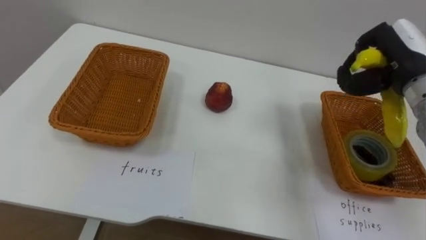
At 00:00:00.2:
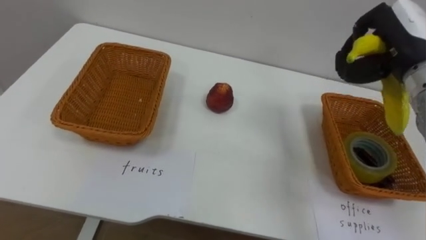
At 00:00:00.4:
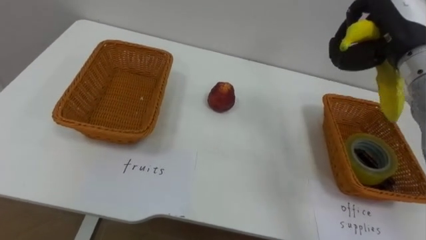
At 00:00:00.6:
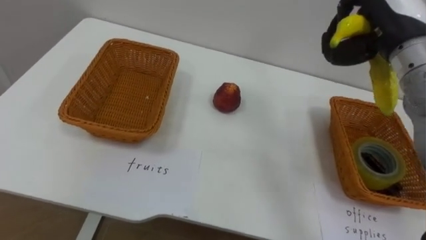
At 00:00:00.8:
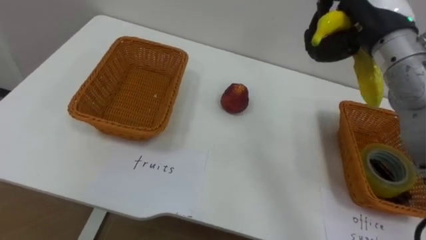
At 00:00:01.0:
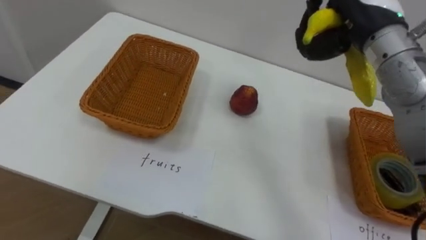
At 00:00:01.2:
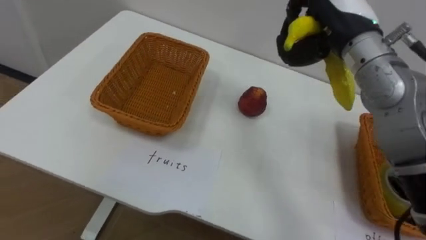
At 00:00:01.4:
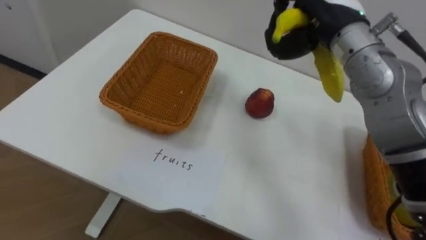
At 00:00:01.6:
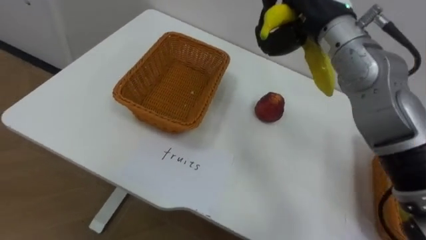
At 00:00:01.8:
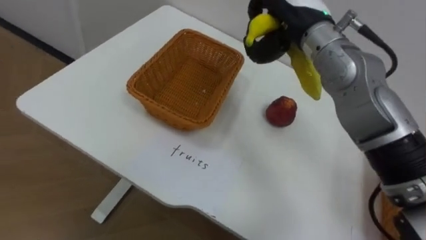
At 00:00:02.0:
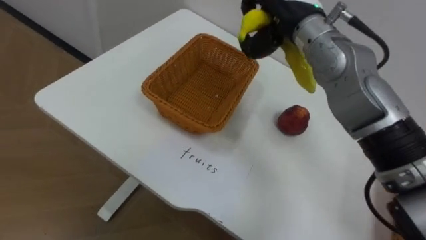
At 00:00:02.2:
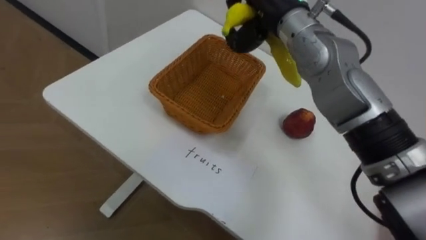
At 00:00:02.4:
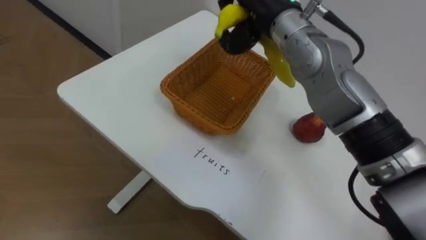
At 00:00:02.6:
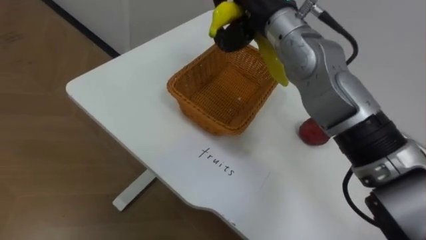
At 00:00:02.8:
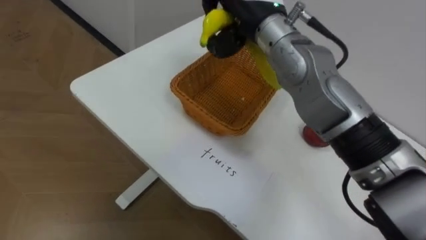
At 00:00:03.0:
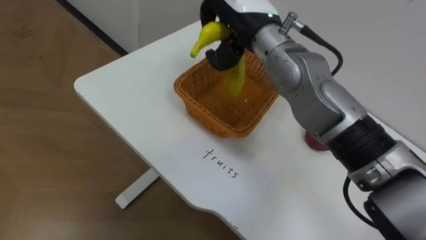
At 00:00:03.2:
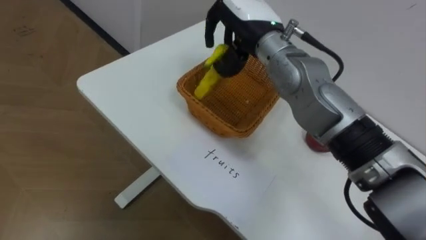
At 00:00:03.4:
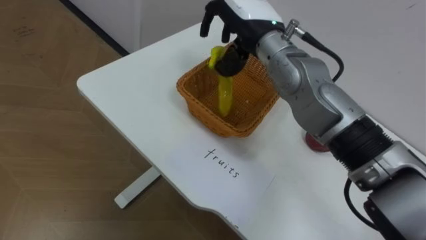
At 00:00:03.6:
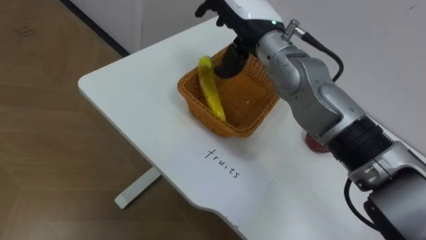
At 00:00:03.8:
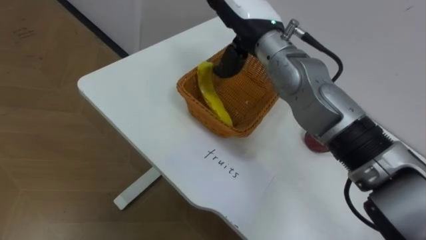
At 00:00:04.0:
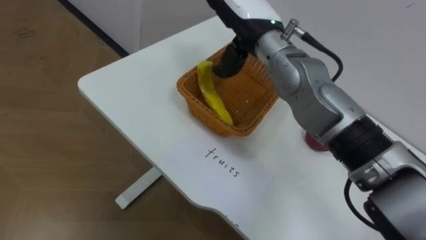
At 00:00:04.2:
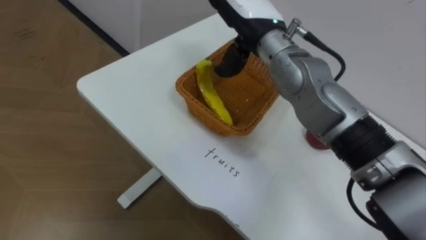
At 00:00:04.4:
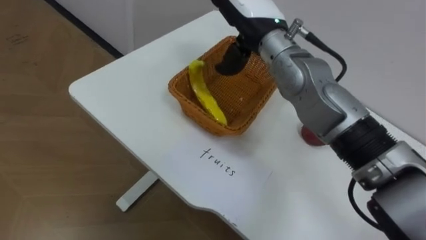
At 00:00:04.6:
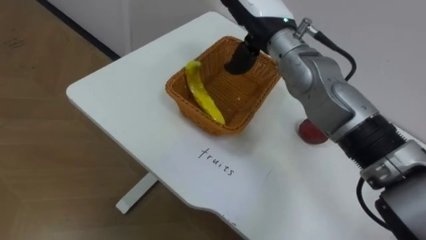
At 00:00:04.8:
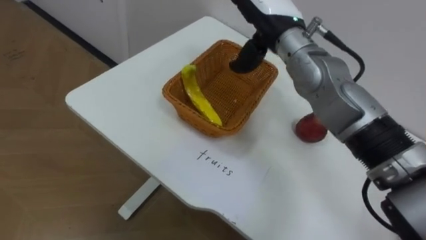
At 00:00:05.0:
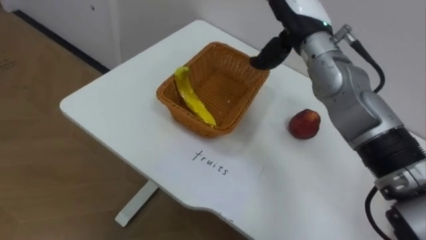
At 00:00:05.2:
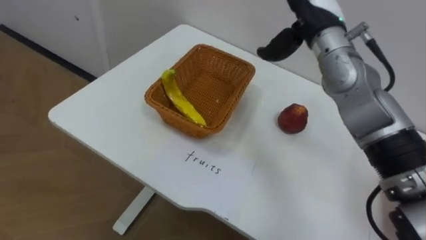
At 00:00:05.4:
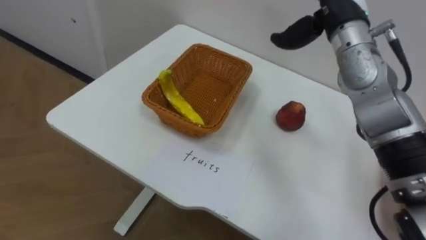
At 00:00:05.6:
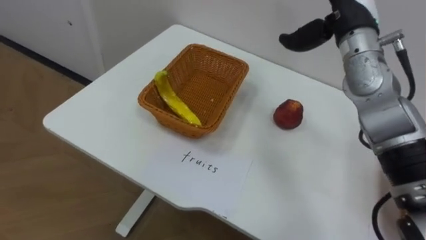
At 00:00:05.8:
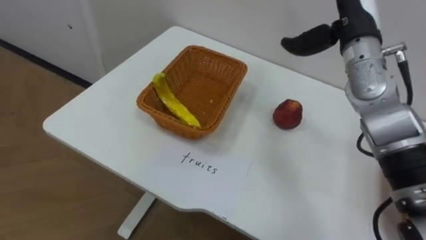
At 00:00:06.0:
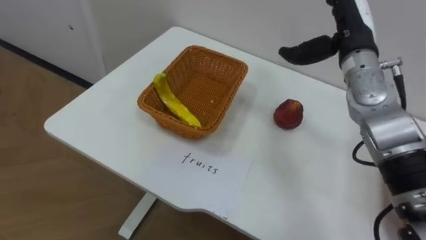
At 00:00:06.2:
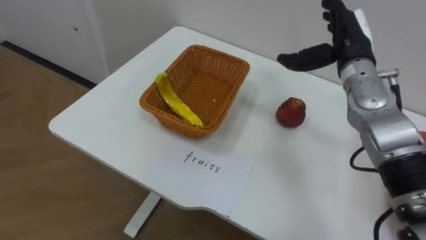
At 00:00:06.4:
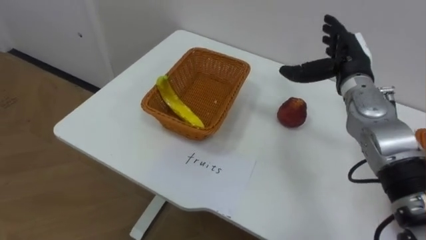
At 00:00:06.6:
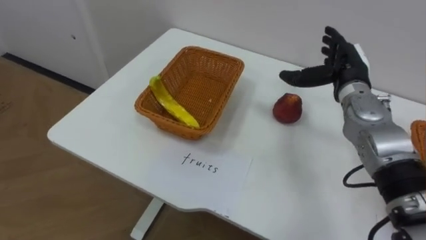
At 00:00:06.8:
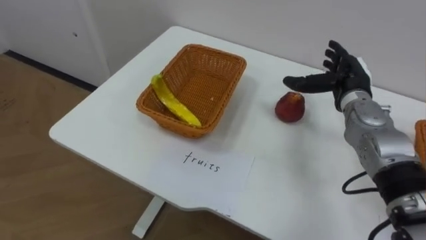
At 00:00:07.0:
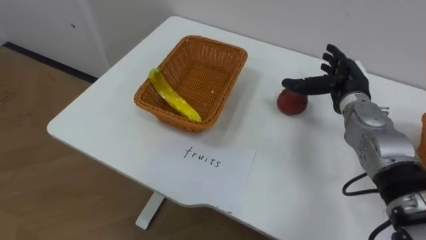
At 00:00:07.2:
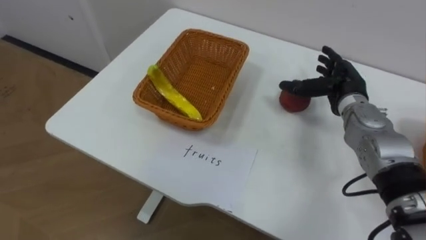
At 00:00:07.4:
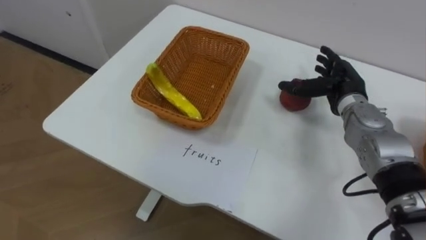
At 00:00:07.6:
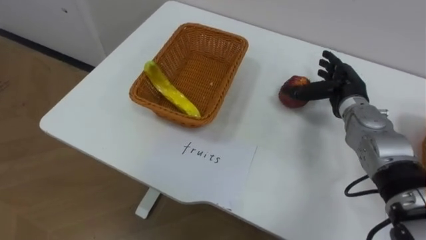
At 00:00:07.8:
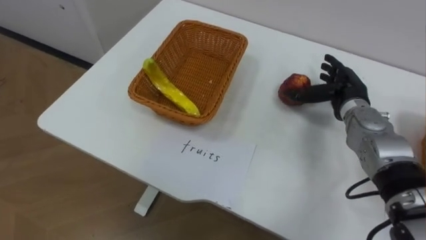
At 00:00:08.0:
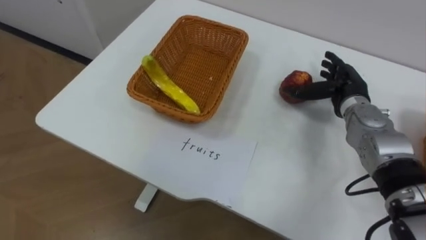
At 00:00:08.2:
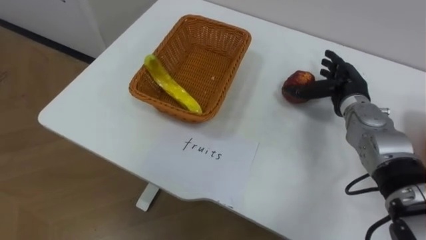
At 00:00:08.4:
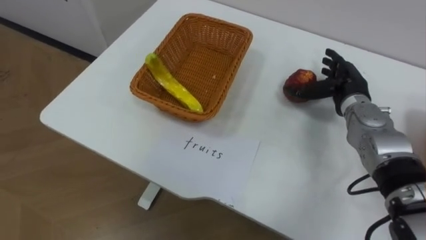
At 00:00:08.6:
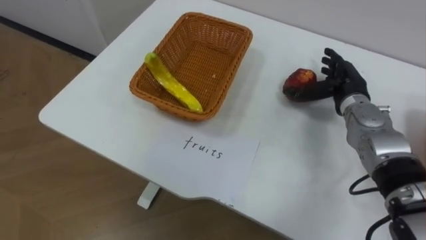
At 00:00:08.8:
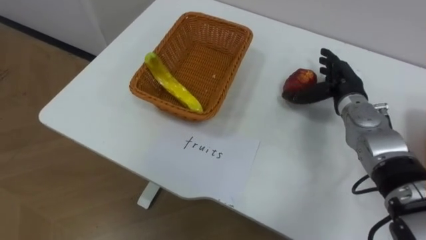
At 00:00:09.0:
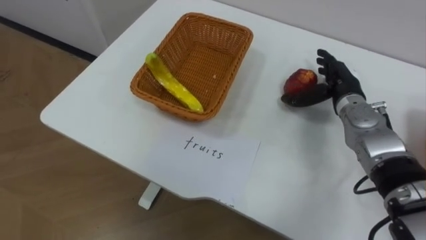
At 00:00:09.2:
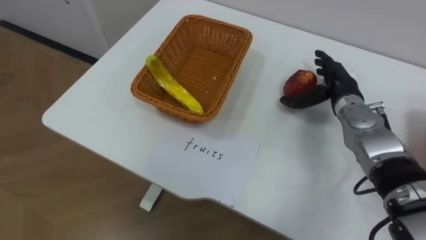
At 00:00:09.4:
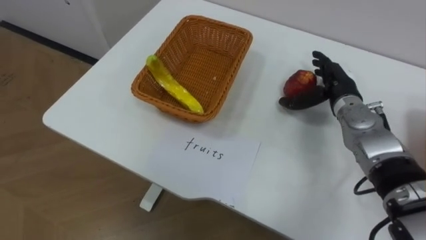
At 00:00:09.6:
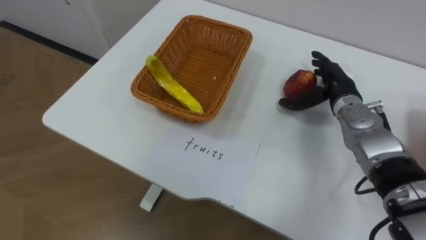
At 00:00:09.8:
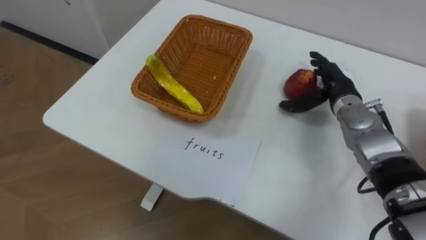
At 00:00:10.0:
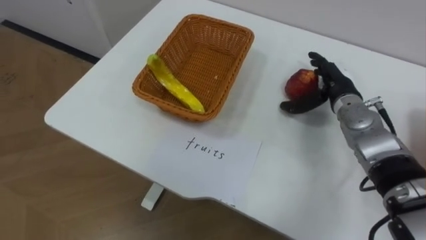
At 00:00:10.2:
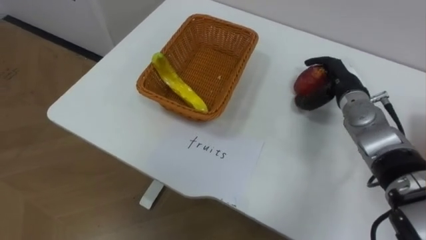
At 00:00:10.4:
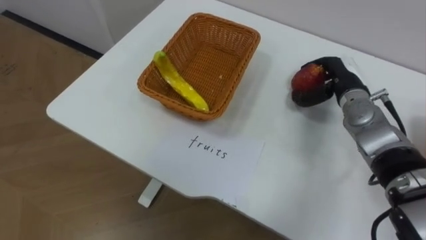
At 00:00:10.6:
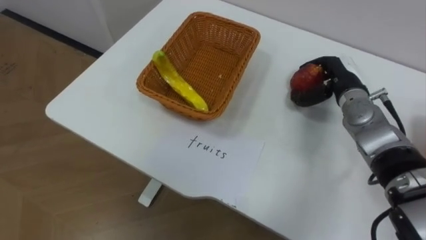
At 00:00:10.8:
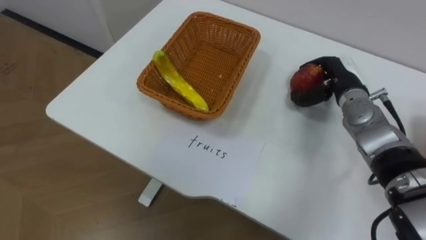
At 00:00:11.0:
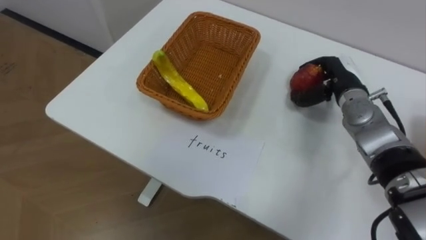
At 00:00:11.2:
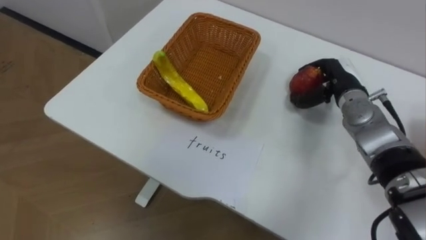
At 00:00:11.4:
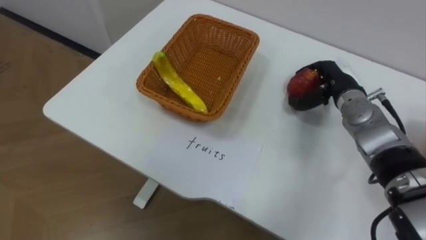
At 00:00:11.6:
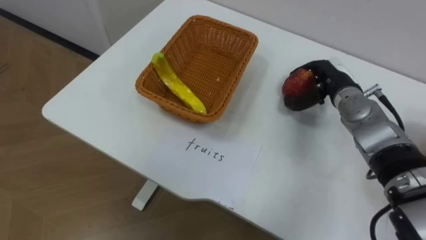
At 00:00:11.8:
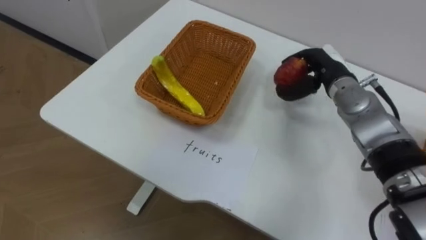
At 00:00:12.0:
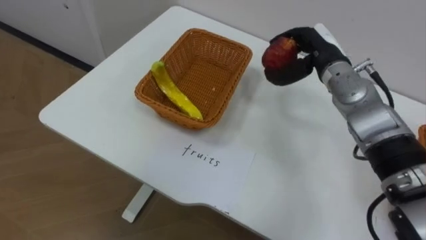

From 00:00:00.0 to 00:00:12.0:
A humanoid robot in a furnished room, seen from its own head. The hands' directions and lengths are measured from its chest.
Task of the whole recording: Separate the items on the table and place them into the two baskets.
From 00:00:00.0 to 00:00:01.6: The right hand travels to the left and upward by roughly 15 cm.
From 00:00:03.0 to 00:00:04.4: The right hand opens.
From 00:00:06.0 to 00:00:07.6: The right hand heads downward, covering approximately 10 cm.
From 00:00:09.0 to 00:00:10.4: The right hand closes its fingers.
From 00:00:10.4 to 00:00:12.0: The right hand heads upward and to the left, covering roughly 10 cm.

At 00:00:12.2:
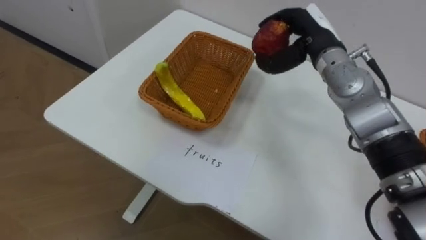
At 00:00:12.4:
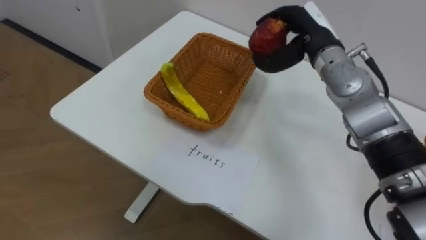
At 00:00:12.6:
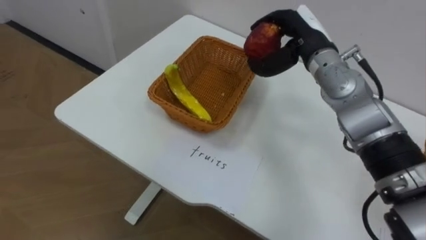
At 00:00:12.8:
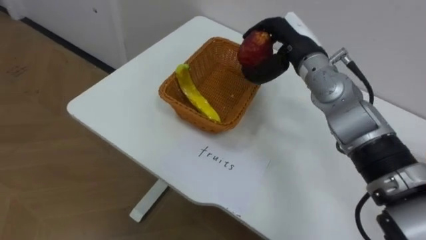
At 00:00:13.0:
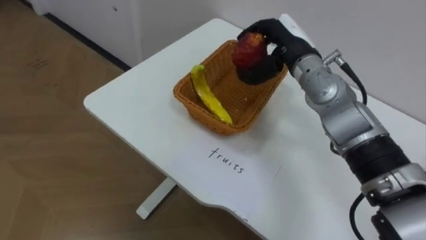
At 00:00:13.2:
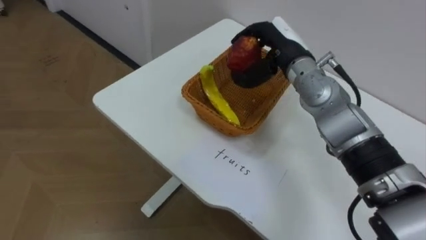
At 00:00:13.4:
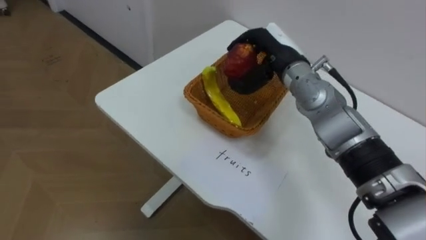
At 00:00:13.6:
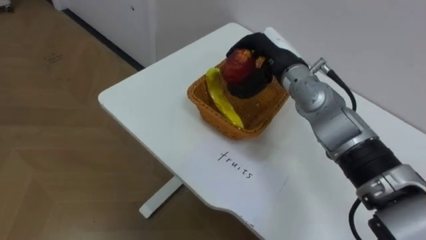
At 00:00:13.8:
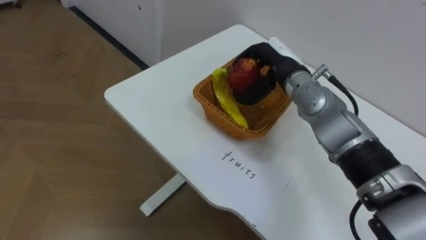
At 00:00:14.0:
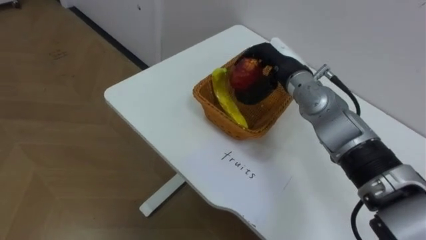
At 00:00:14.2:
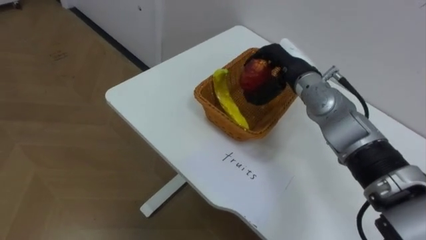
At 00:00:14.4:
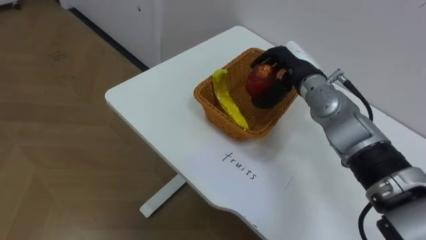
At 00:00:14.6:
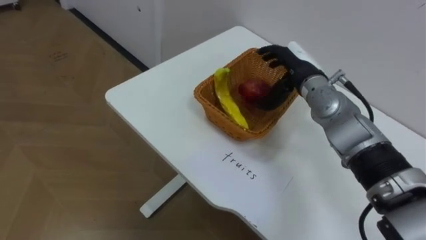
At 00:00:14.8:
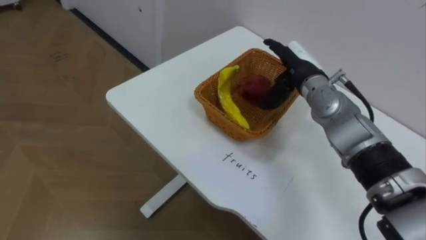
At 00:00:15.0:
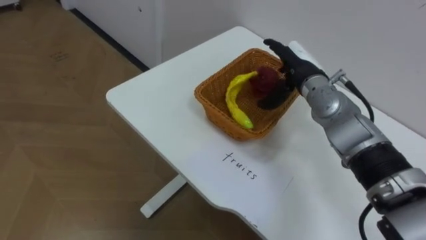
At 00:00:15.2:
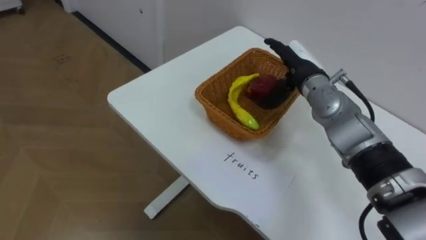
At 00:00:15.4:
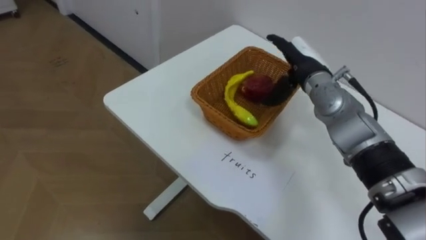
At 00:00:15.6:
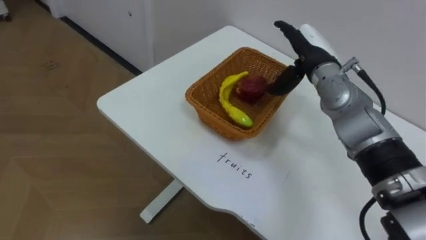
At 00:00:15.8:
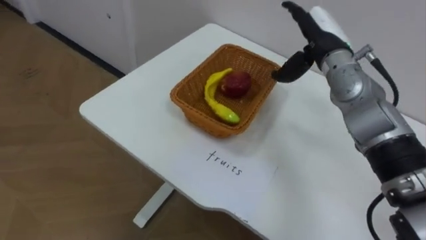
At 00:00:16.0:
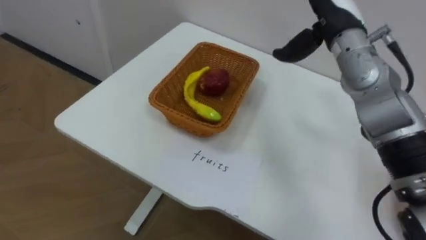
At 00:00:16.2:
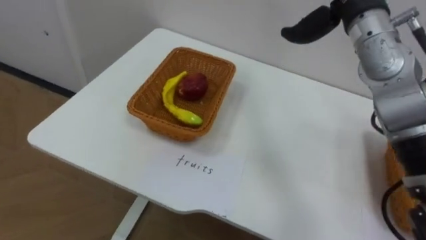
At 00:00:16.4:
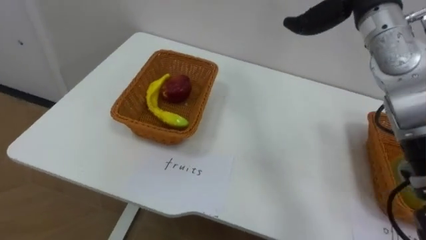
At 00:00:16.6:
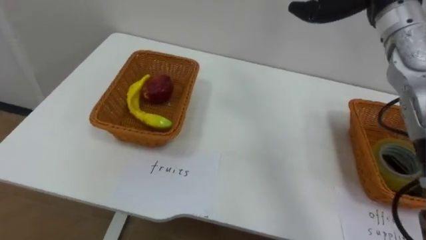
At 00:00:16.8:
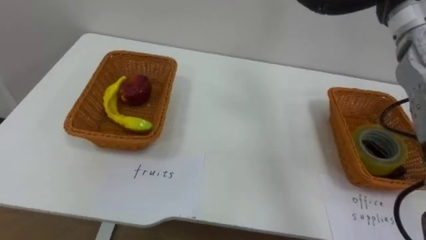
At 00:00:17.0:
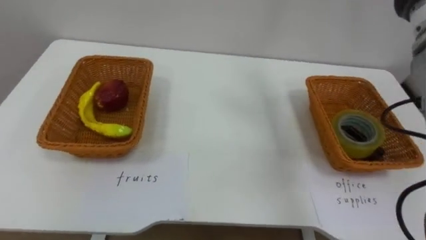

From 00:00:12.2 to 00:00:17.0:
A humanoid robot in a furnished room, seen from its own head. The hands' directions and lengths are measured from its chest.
Task of the whole recording: Separate the items on the table and place them into the two baskets.
From 00:00:12.2 to 00:00:13.8: The right hand shifts some 5 cm downward and to the left.
From 00:00:13.8 to 00:00:15.4: The right hand opens.
